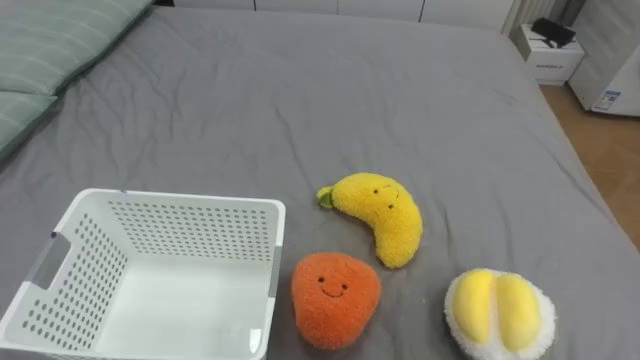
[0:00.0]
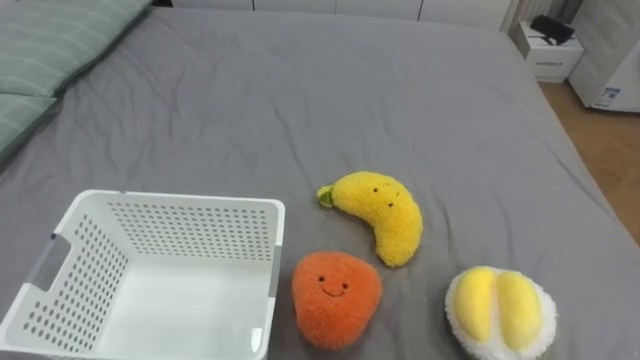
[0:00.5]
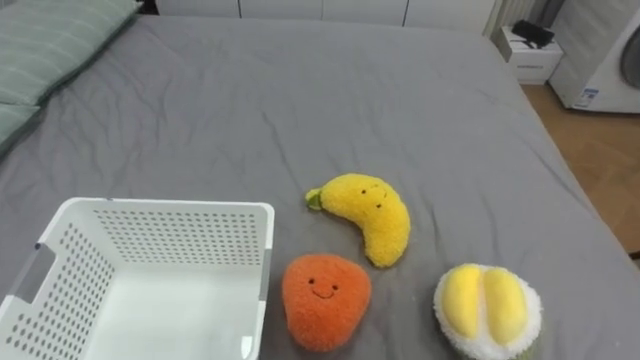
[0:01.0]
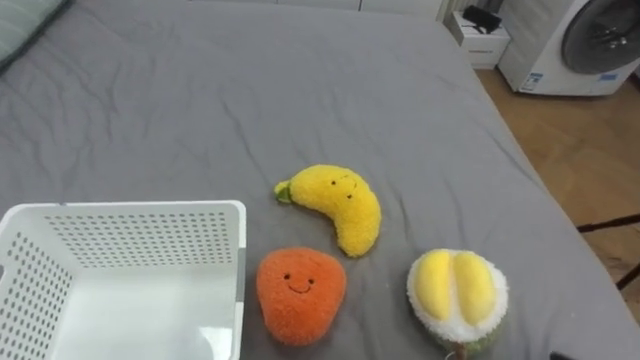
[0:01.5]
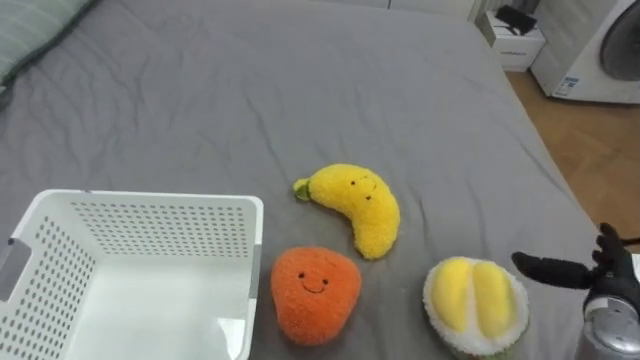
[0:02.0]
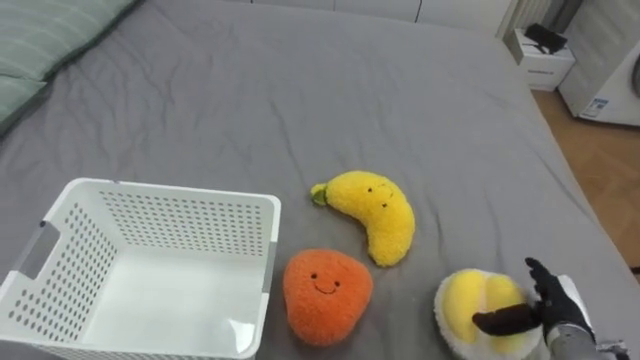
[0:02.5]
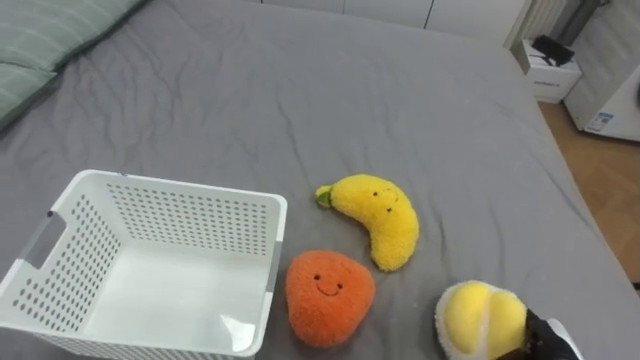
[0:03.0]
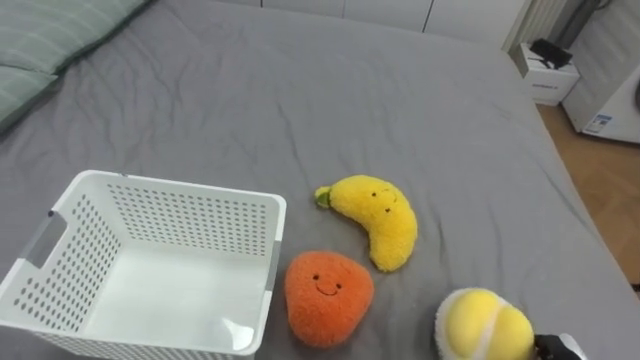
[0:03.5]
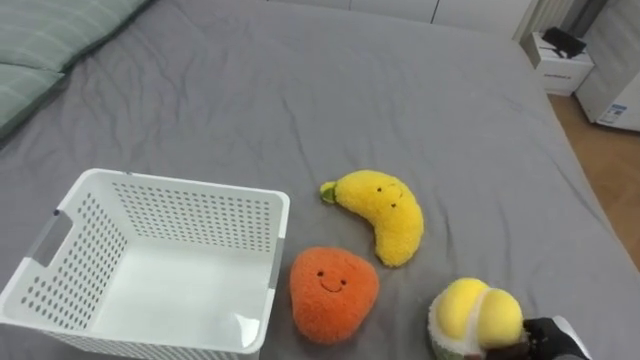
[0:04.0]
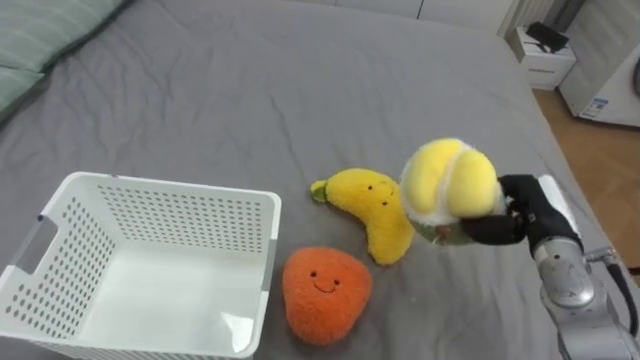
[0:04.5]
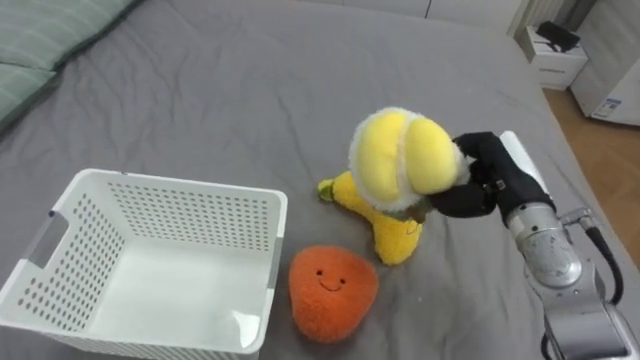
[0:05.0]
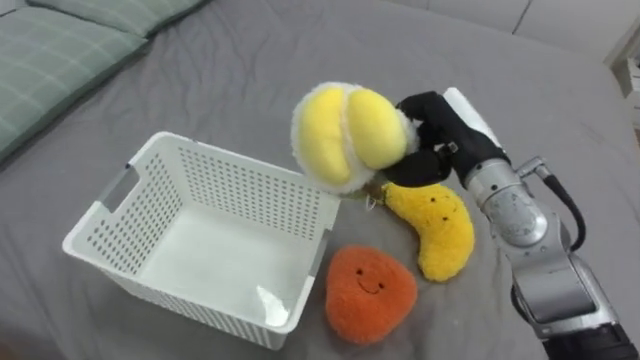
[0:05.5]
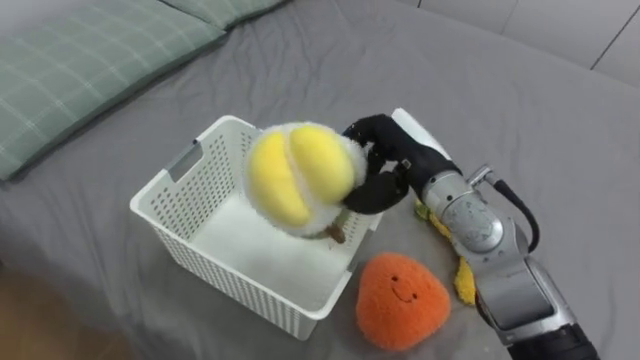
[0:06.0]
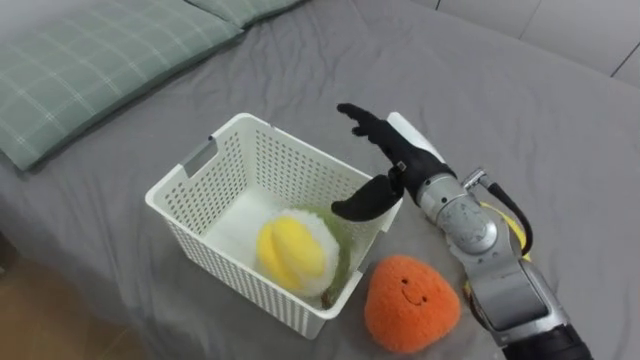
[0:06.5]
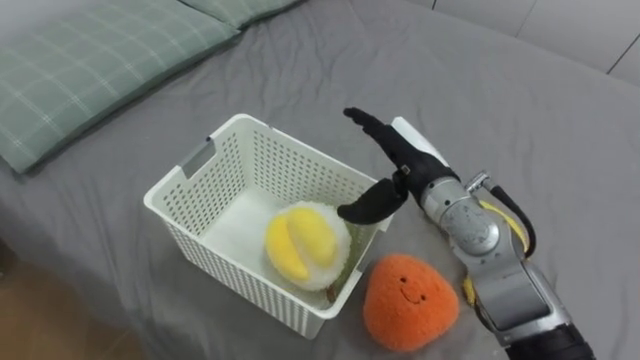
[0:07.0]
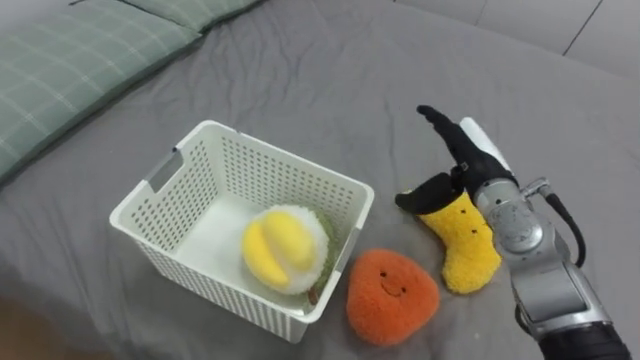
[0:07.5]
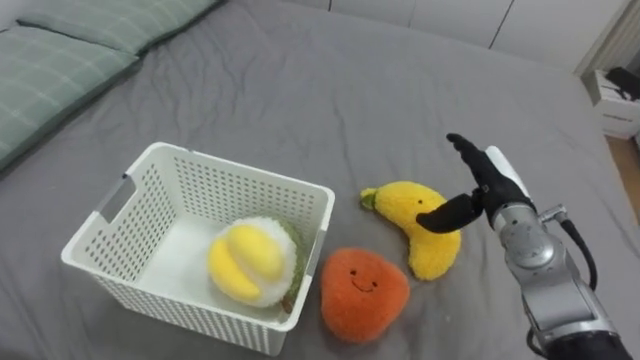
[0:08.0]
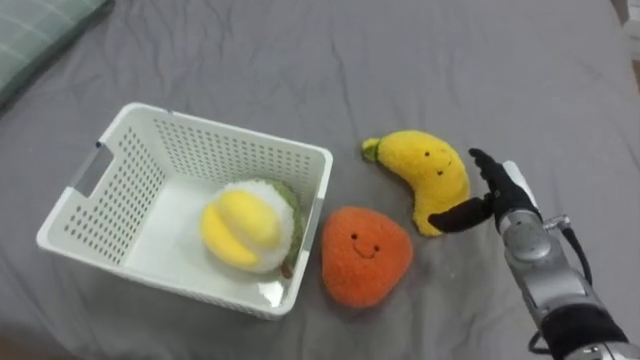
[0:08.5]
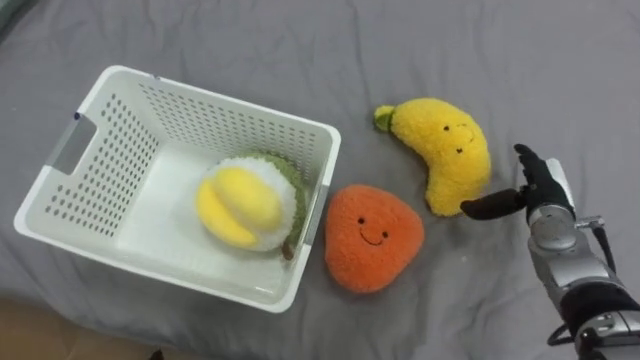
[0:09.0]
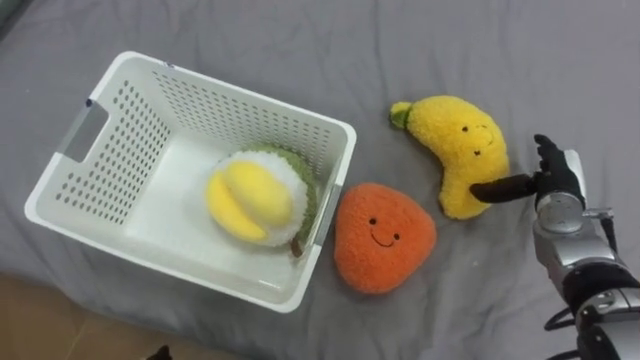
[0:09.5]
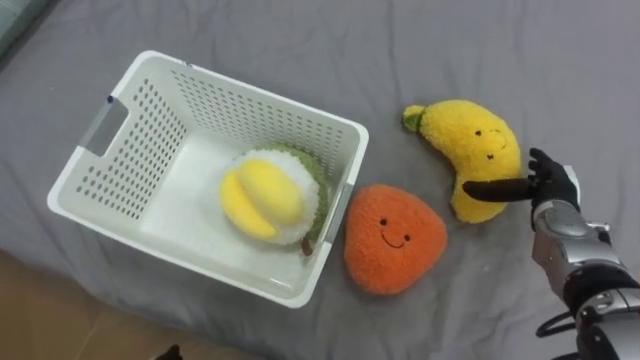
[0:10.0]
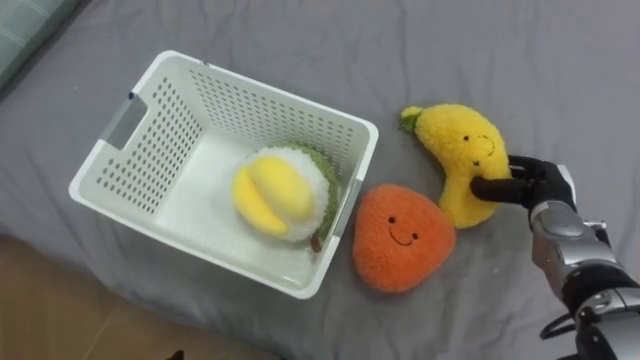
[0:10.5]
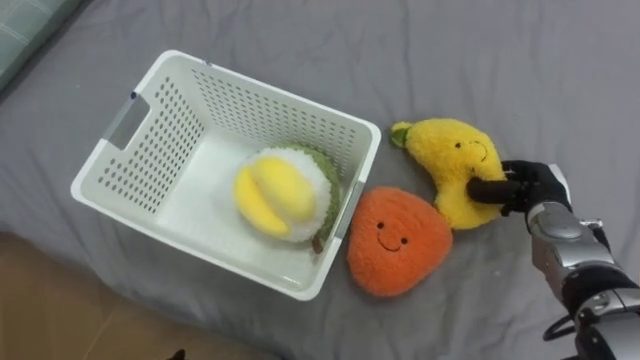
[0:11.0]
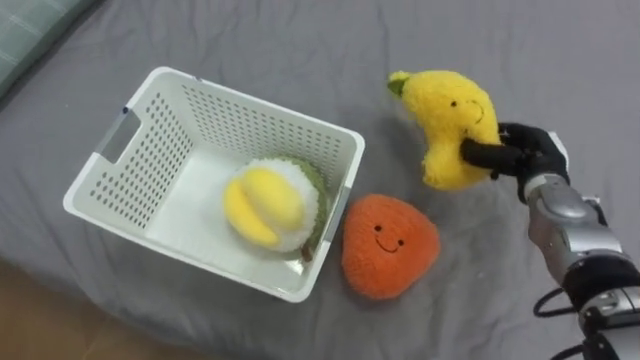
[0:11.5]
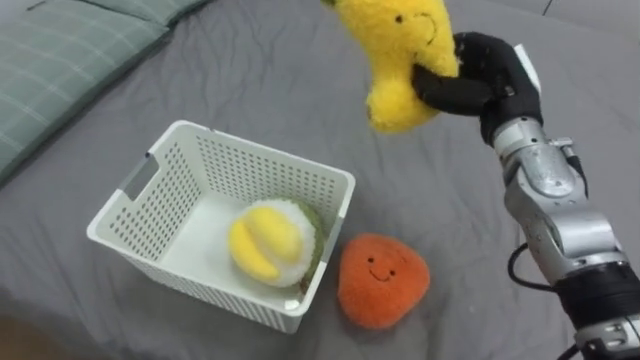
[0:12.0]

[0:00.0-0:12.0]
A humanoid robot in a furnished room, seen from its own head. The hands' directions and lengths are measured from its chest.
Task of the whole recording: Put the toys on the bed into the basket on the left.
0:04.0 to 0:06.0: The right hand is displaced upward, to the left and forward by approximately 35 cm.
0:06.0 to 0:08.0: The right hand goes roughly 15 cm to the right and downward, and opens up.
0:08.0 to 0:10.0: The right hand heads to the right, covering about 10 cm.
0:10.0 to 0:12.0: The right hand goes roughly 20 cm upward and to the left, and closes its fingers.

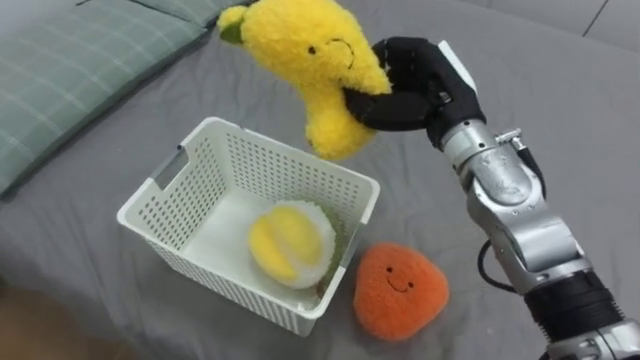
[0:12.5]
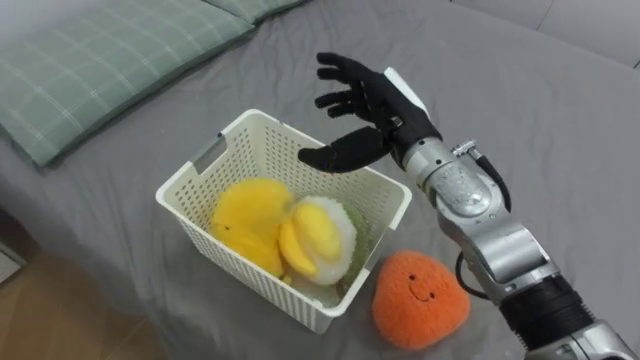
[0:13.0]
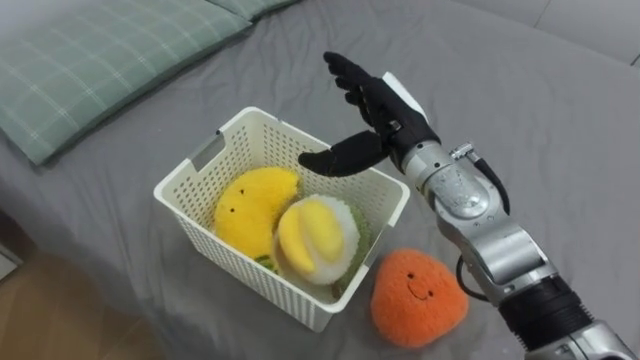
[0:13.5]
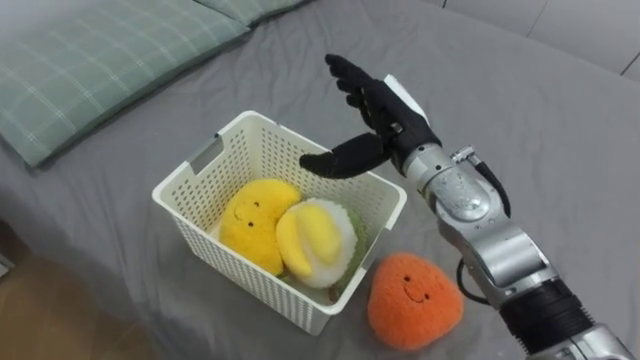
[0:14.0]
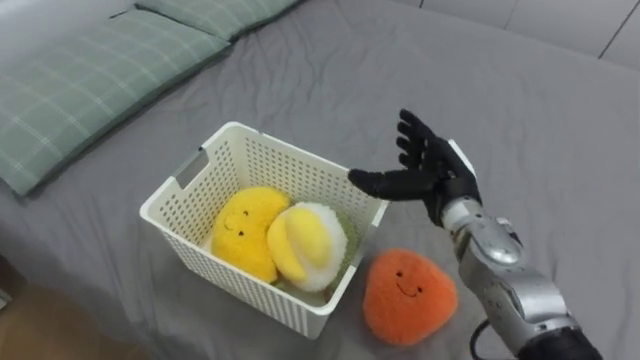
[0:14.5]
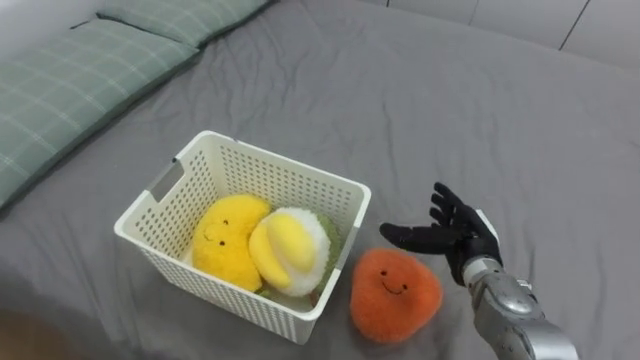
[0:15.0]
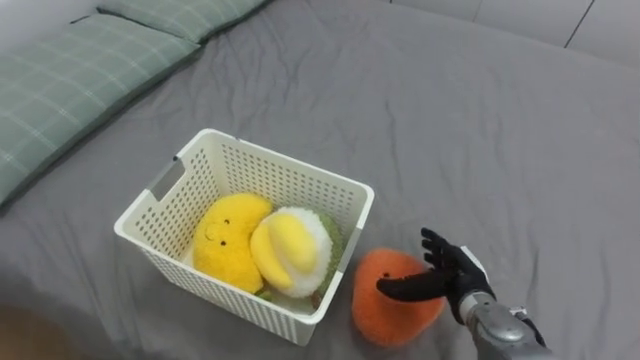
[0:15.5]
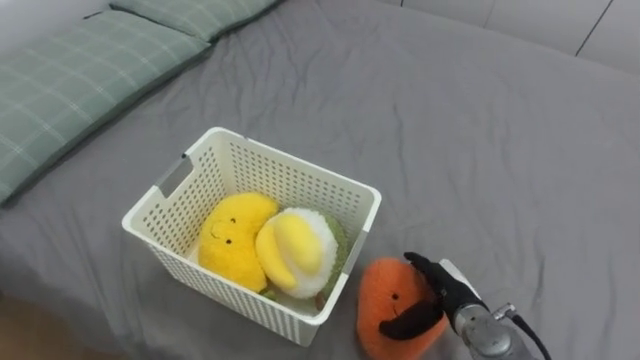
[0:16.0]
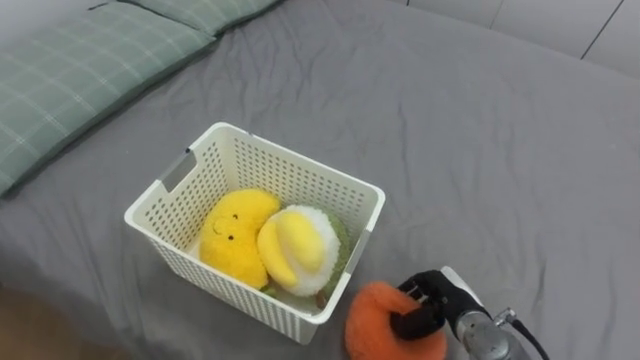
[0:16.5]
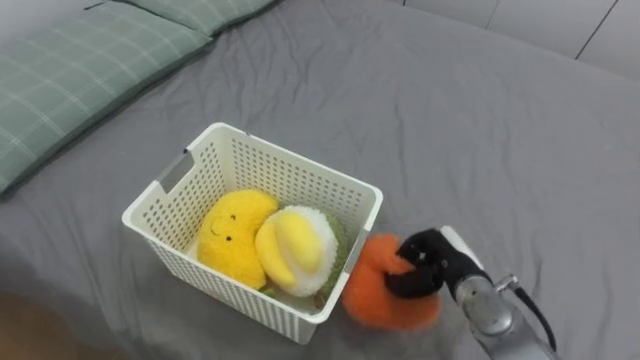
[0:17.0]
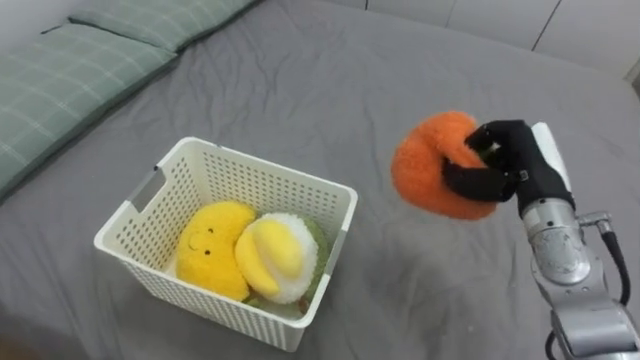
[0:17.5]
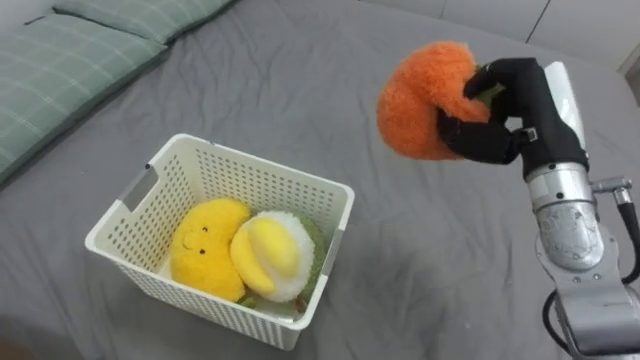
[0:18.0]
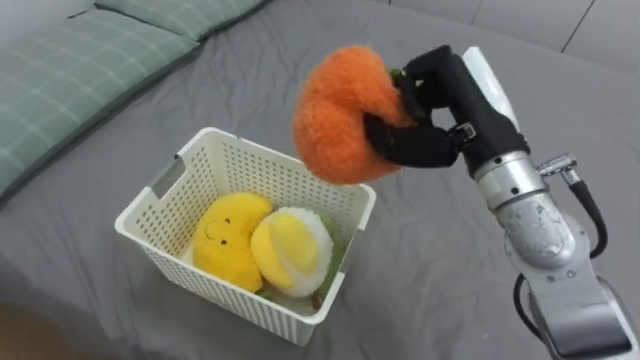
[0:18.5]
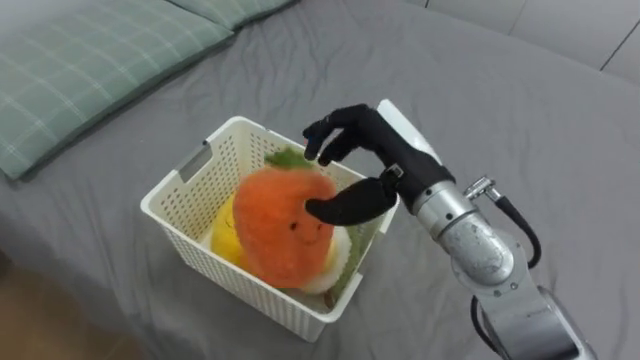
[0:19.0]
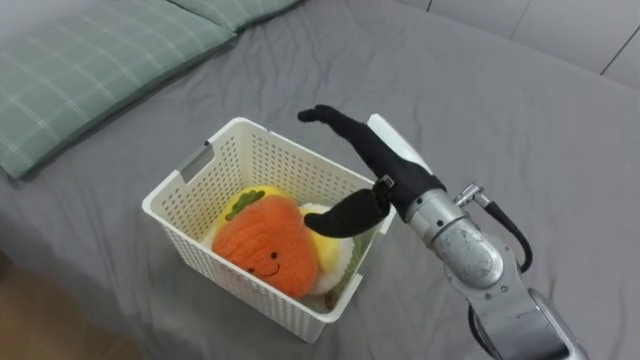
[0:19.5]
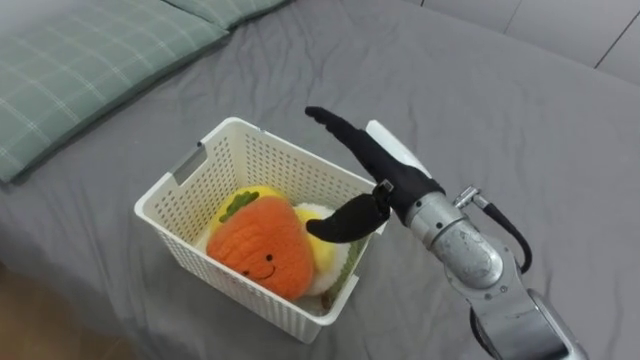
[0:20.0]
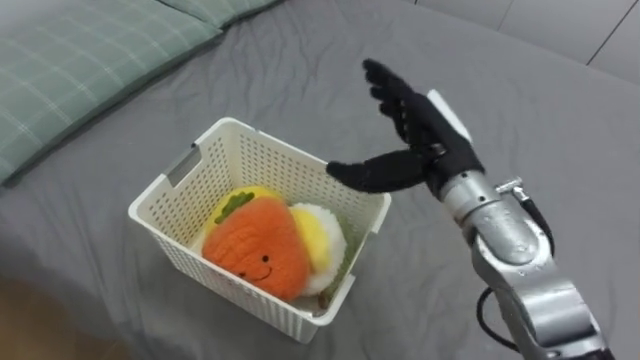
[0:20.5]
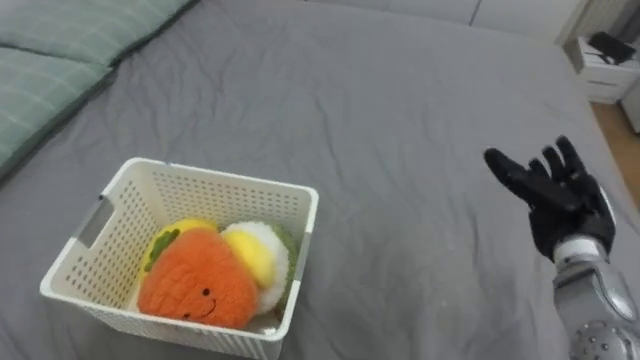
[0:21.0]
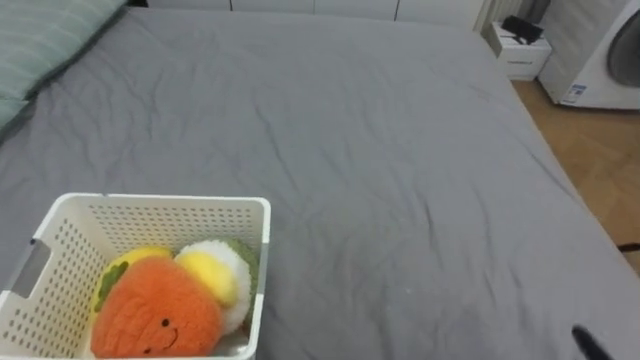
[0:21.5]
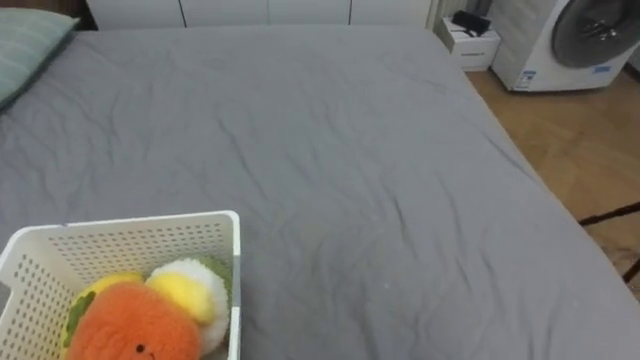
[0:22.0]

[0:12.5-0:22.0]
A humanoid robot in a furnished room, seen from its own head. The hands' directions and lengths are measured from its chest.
Task of the whole recording: Put the toys on the bed into the basket on the left.
0:12.5 to 0:14.5: The right hand goes about 10 cm downward, and opens up.
0:14.5 to 0:16.5: The right hand moves downward and backward, roughly 20 cm, and closes.
0:16.5 to 0:18.0: The right hand moves upward, some 25 cm.
0:18.0 to 0:20.0: The right hand is displaced to the left by about 15 cm, and opens its fingers.
